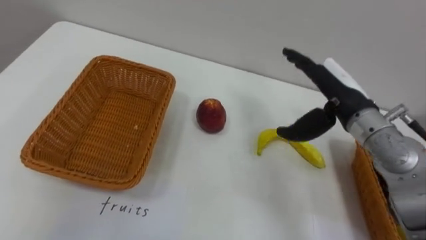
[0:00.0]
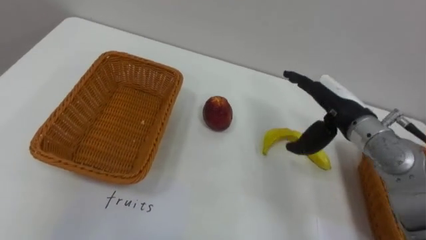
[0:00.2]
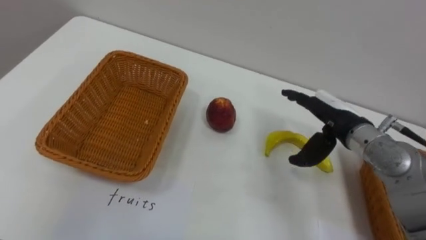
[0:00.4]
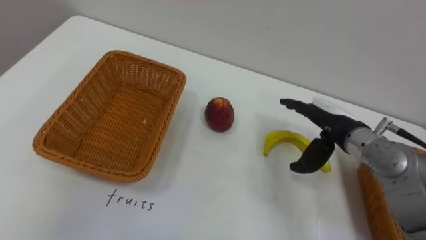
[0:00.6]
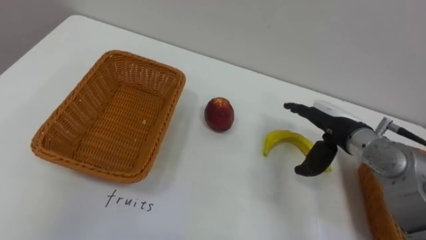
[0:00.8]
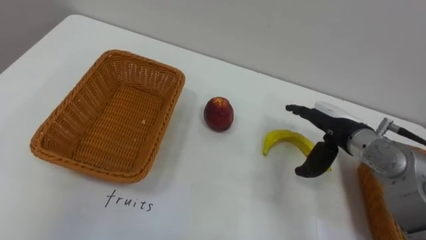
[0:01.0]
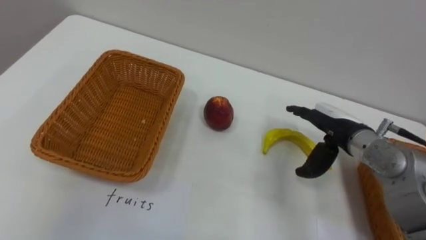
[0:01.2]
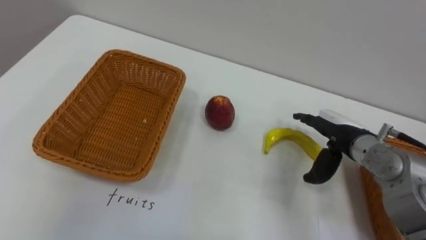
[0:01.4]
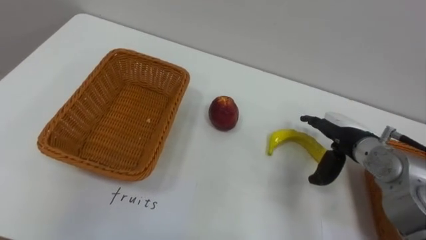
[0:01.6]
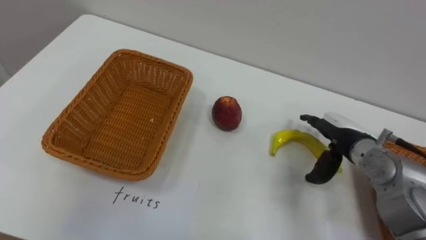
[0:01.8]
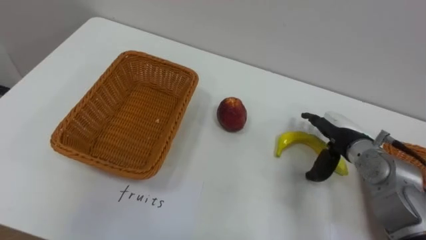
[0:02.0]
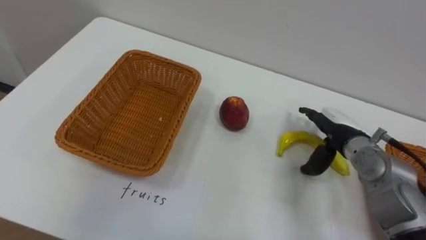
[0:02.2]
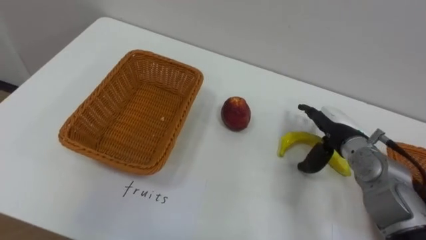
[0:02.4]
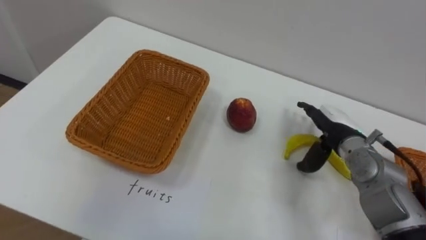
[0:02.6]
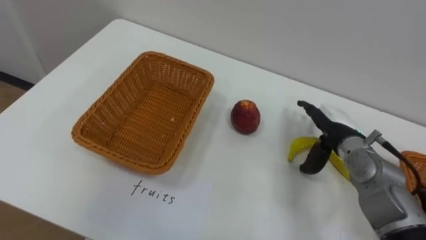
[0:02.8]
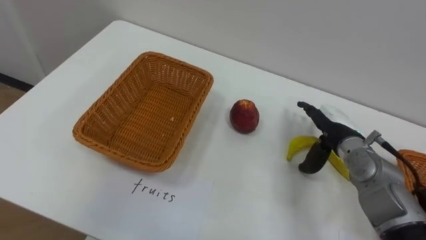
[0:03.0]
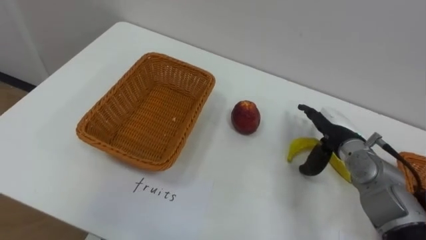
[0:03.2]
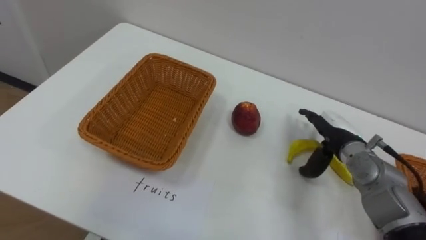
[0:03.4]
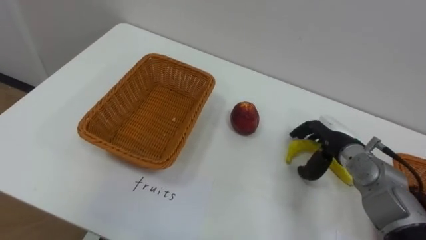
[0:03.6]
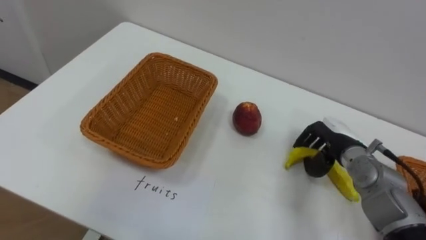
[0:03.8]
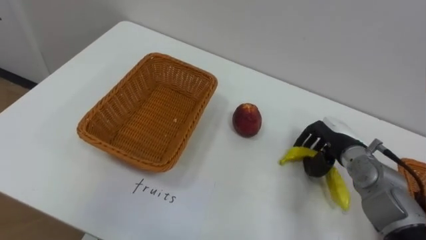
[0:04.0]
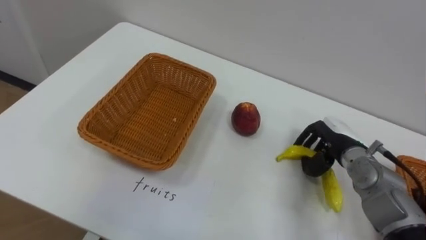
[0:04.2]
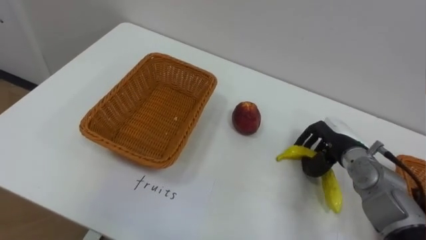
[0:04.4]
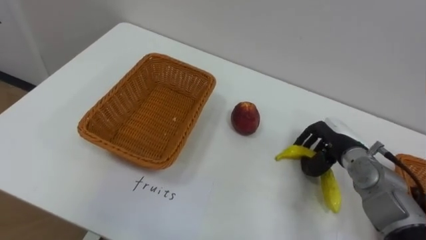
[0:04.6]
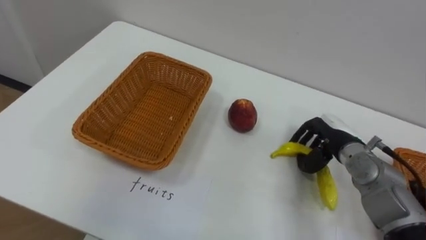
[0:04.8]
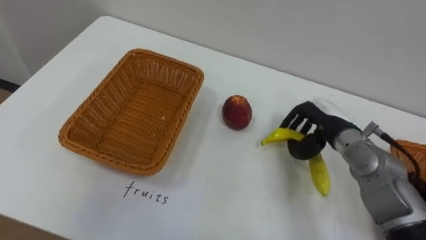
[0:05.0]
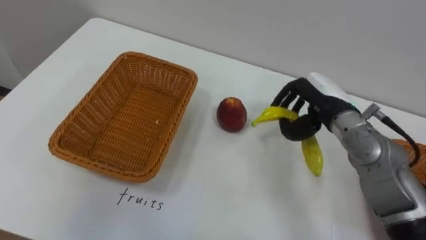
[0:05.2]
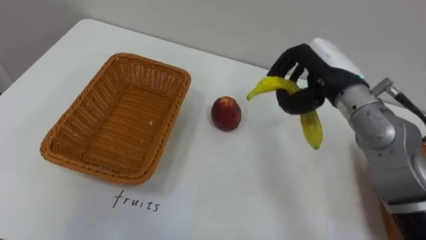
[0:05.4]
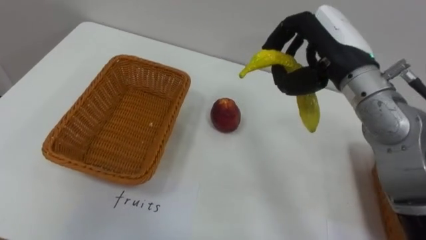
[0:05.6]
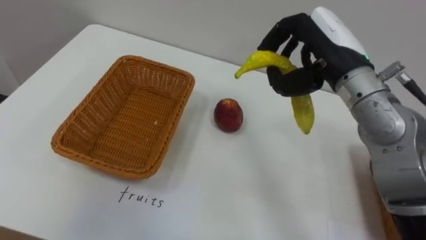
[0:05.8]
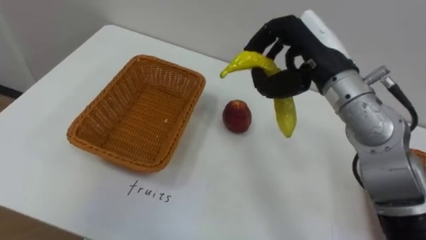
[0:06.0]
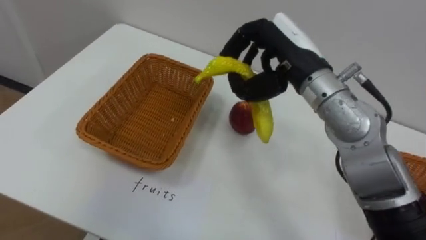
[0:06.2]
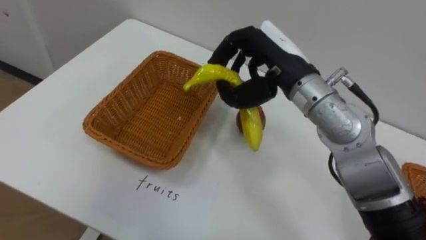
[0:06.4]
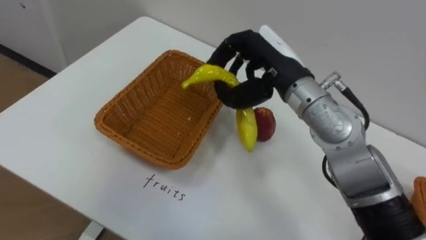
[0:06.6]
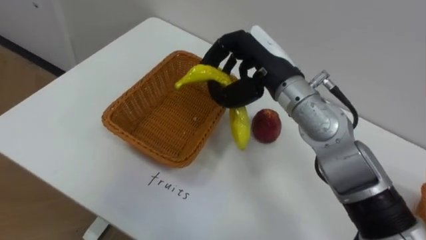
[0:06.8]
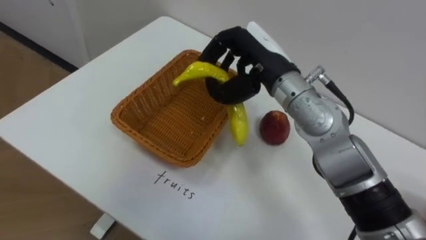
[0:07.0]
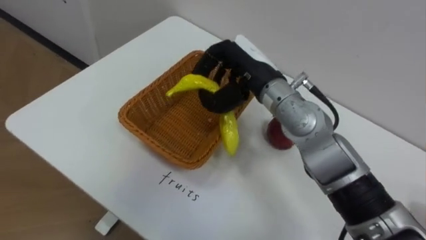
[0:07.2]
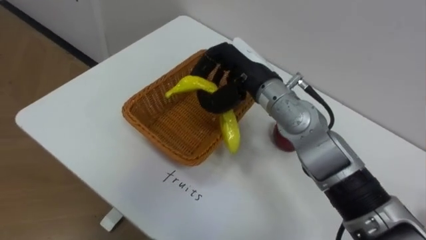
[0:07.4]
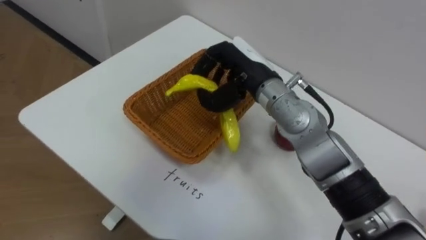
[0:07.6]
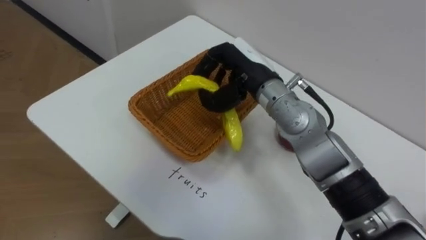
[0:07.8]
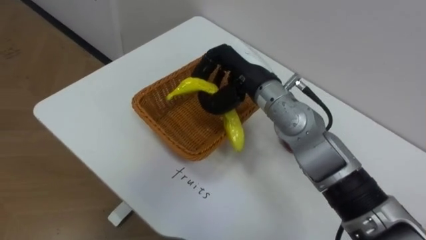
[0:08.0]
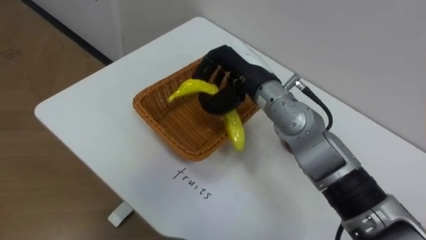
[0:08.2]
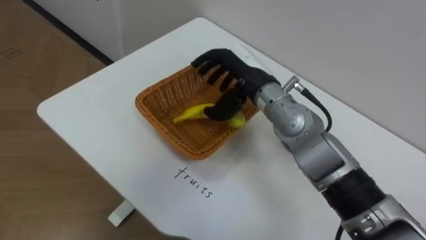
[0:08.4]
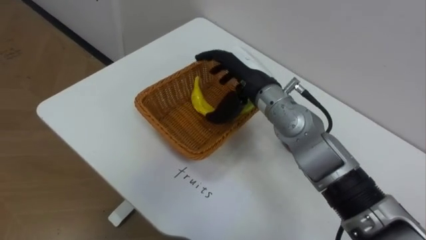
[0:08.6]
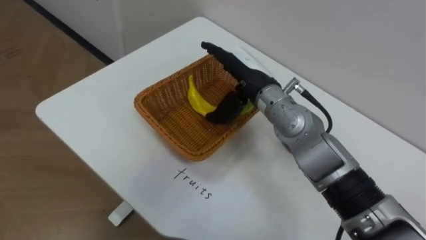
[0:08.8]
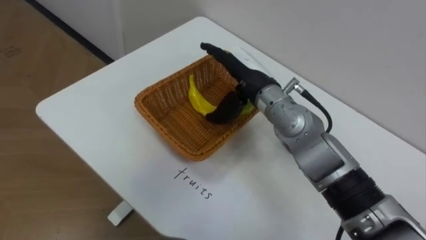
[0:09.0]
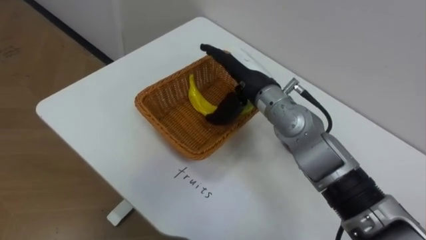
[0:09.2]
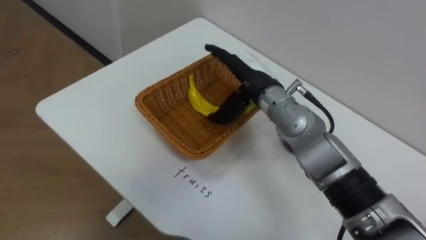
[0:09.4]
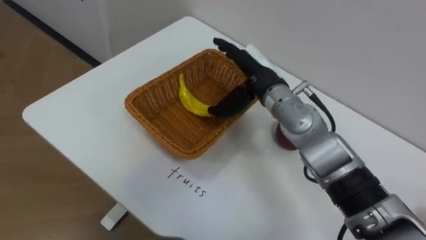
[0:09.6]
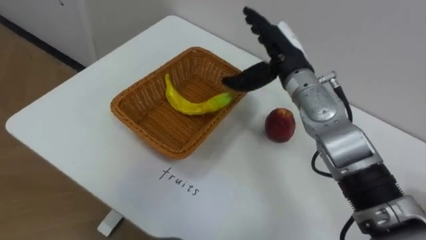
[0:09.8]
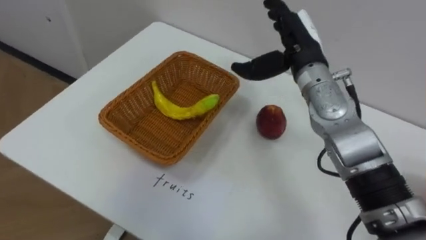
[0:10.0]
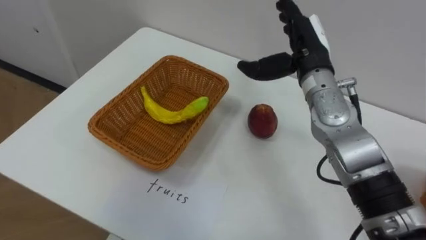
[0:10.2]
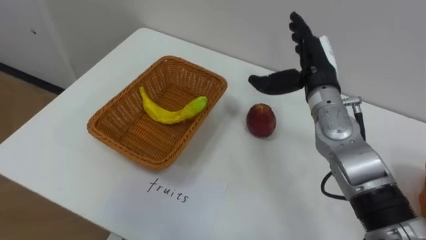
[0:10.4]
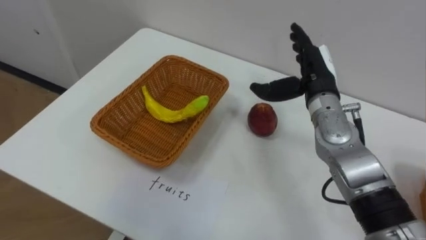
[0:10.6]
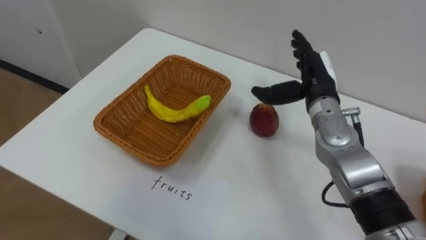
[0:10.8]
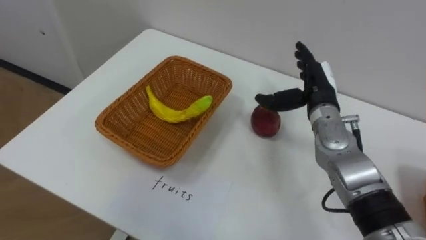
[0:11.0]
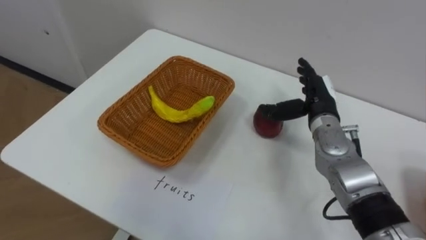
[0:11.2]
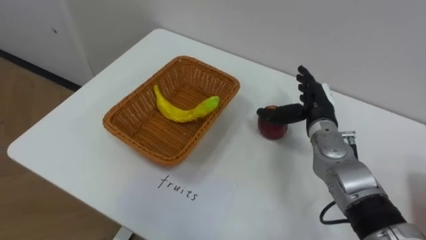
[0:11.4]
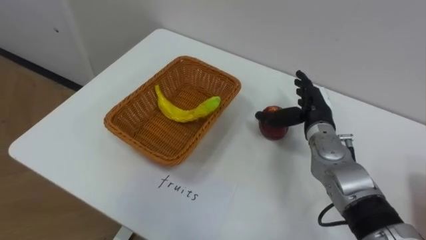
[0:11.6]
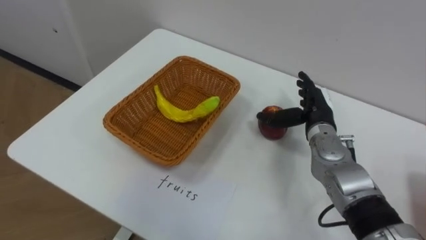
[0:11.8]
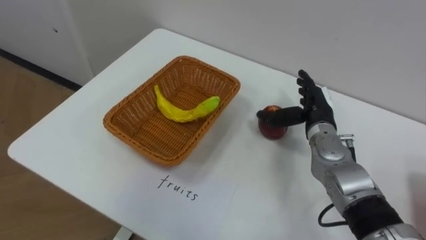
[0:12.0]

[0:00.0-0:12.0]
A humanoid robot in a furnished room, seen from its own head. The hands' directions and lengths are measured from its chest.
Task of the whole recording: Separate the items on the table and place them into the two baskets.
0:00.0 to 0:01.6: The right hand moves downward, some 10 cm.
0:03.0 to 0:04.4: The right hand closes.
0:04.4 to 0:06.0: The right hand moves upward and to the left, roughly 25 cm.
0:06.0 to 0:07.6: The right hand heads to the left and downward, covering some 10 cm.
0:07.6 to 0:09.0: The right hand opens.
0:09.0 to 0:10.4: The right hand shifts approximately 10 cm to the right.
0:10.4 to 0:12.0: The right hand is displaced downward by roughly 10 cm.

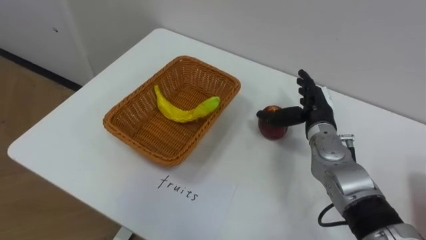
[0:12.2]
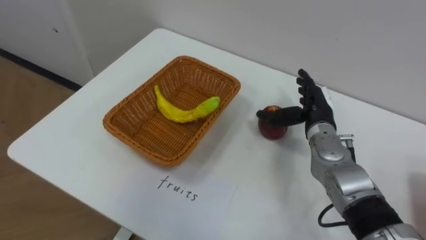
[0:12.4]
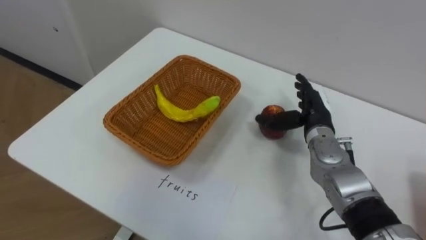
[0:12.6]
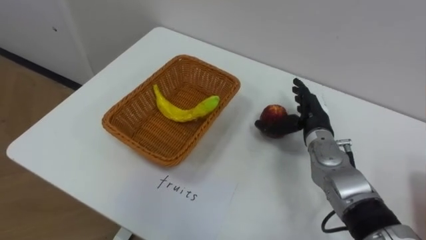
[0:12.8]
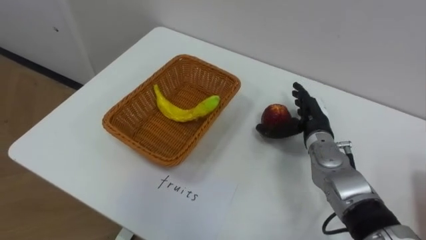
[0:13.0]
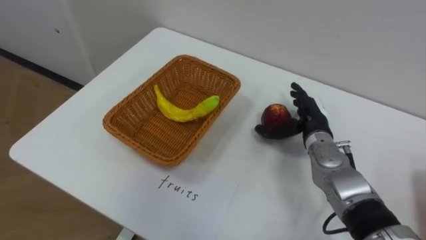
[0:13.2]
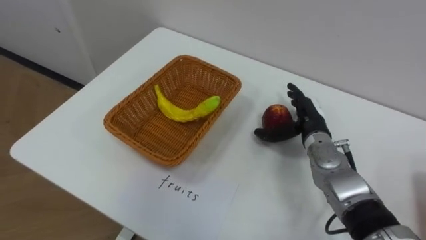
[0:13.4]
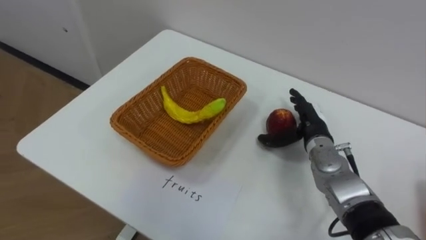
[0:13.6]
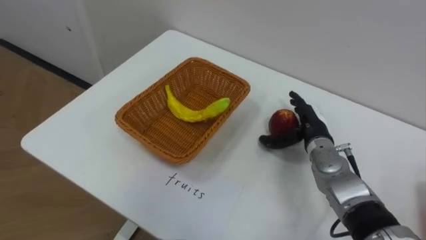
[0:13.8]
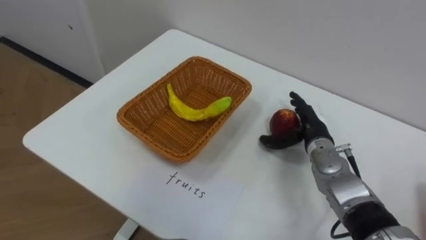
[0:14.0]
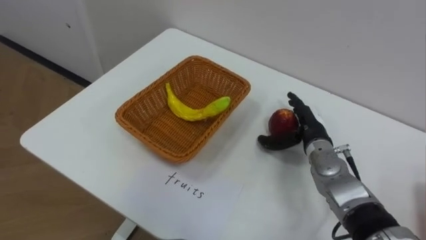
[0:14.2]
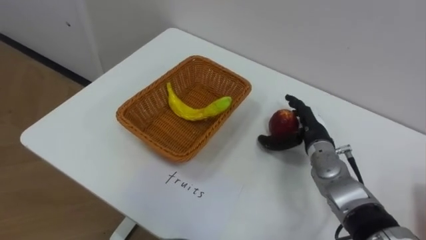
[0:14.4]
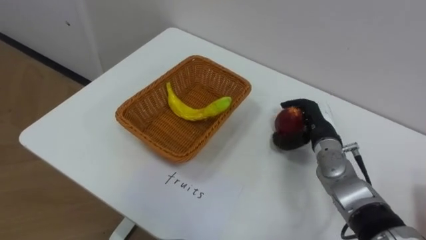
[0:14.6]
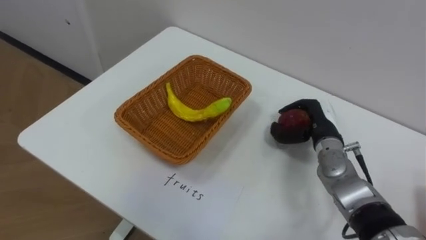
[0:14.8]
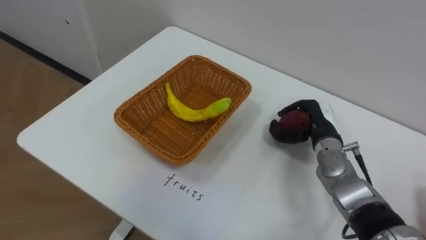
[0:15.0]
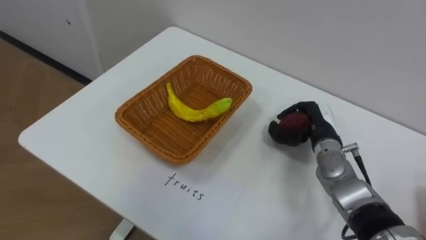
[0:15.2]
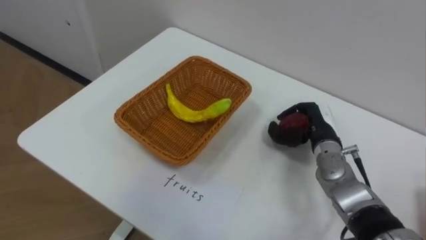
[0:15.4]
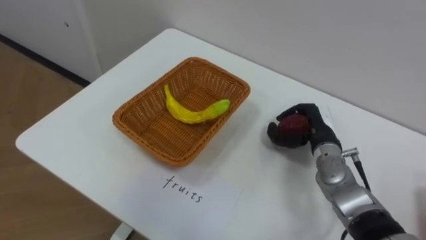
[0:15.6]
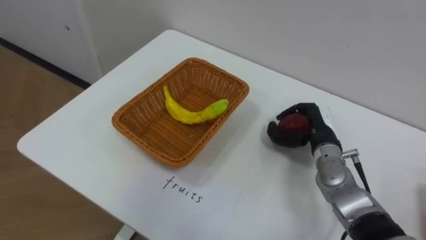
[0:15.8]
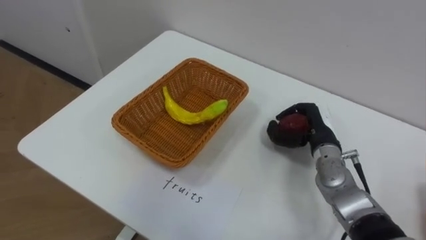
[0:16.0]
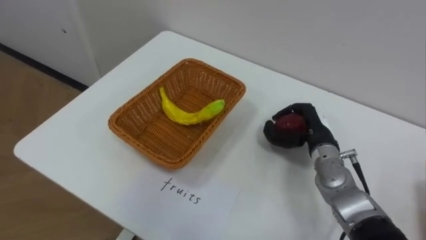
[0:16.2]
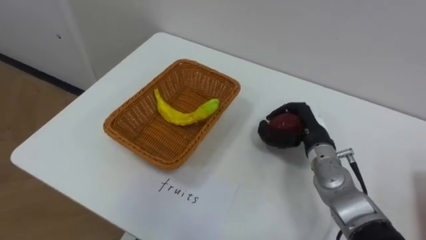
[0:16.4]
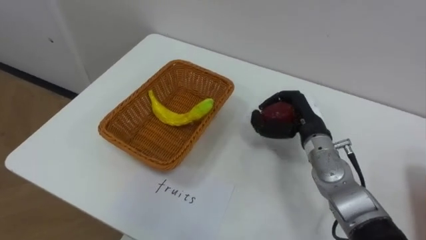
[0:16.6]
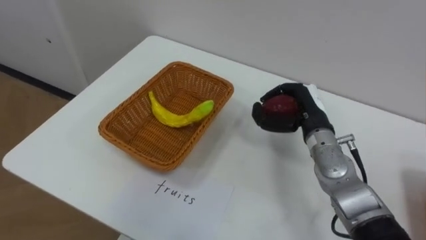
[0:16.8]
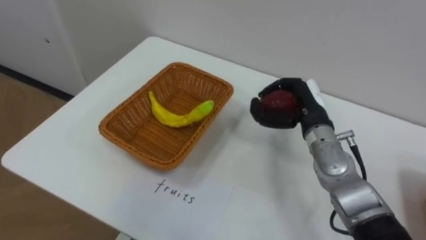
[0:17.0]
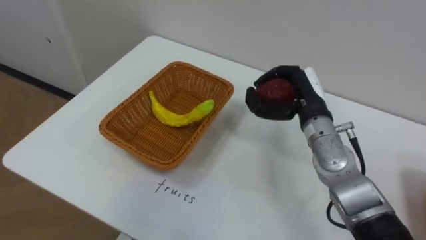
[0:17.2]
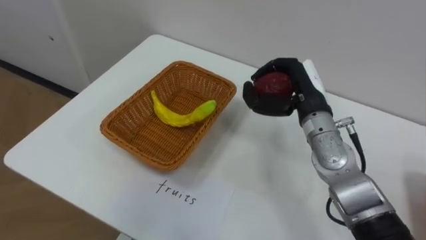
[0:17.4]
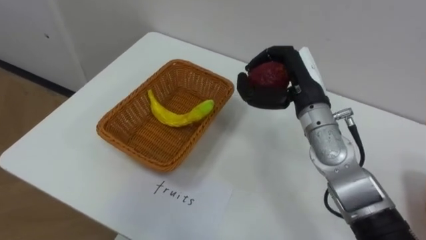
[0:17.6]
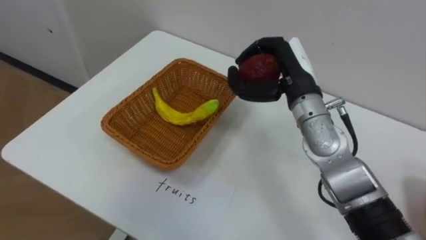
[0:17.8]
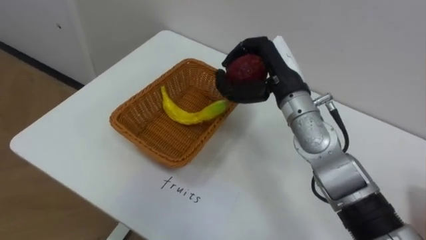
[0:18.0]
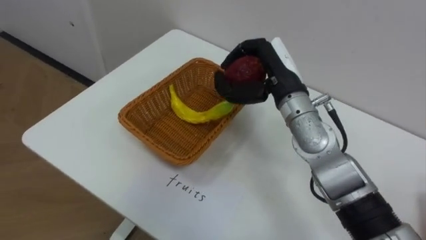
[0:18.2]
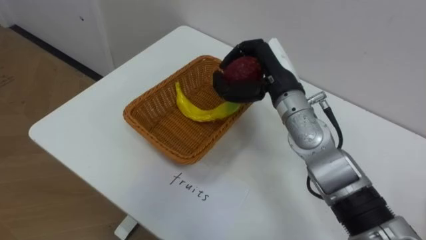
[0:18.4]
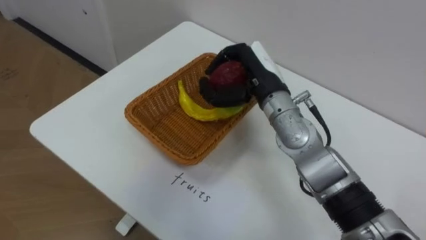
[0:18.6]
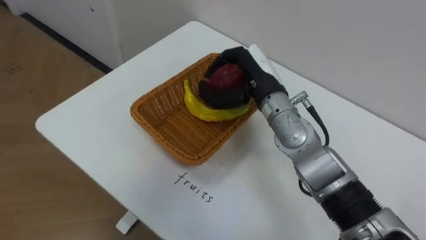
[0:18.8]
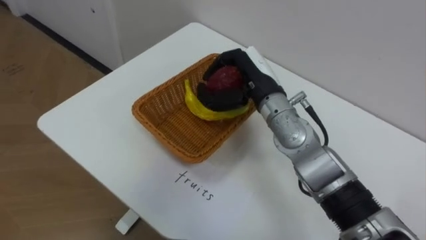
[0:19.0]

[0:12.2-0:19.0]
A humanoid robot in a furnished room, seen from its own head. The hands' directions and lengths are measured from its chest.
Task of the whole recording: Separate the items on the table and place them into the two baskets.
0:13.6 to 0:15.0: The right hand closes up.
0:16.2 to 0:17.6: The right hand goes some 15 cm upward and to the left.
0:17.6 to 0:19.0: The right hand moves to the left, roughly 10 cm.
